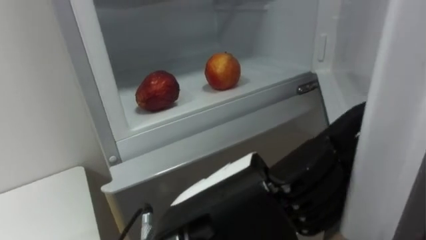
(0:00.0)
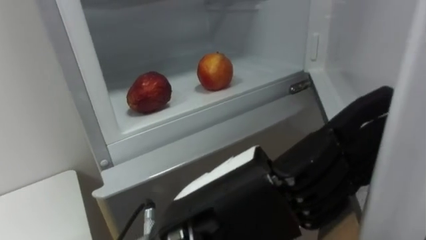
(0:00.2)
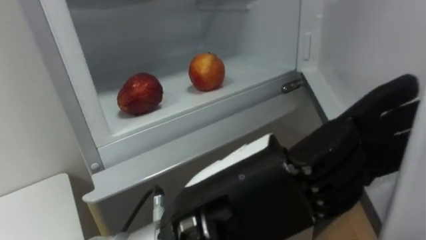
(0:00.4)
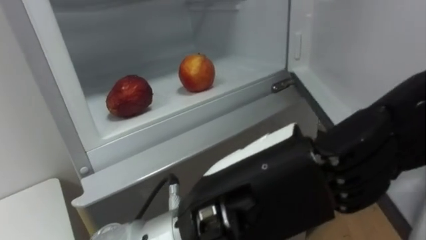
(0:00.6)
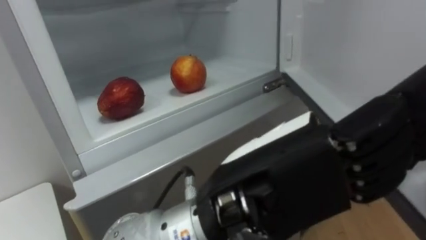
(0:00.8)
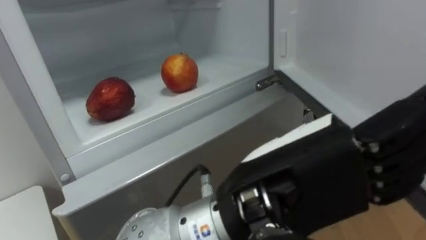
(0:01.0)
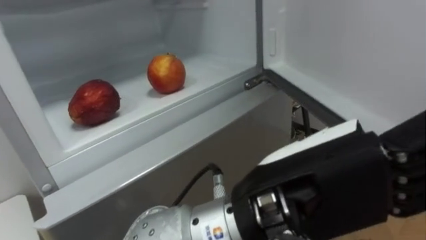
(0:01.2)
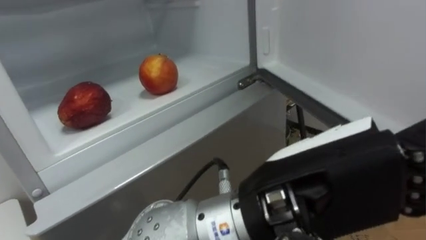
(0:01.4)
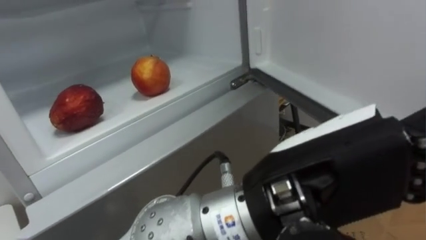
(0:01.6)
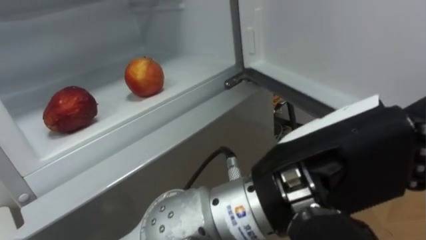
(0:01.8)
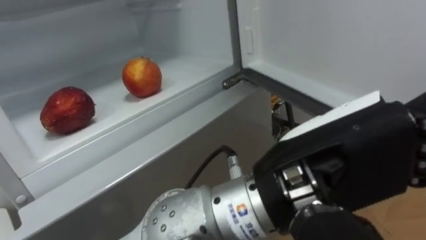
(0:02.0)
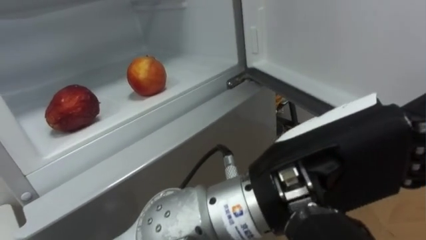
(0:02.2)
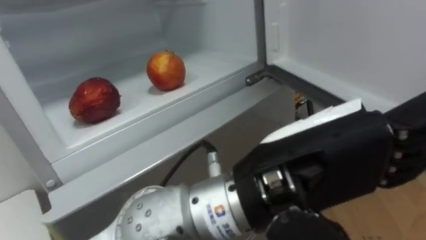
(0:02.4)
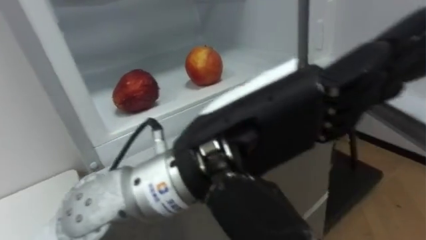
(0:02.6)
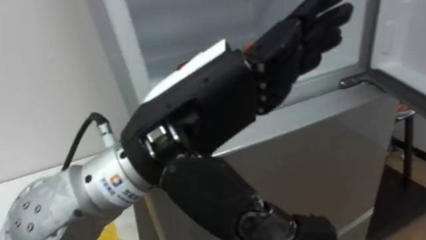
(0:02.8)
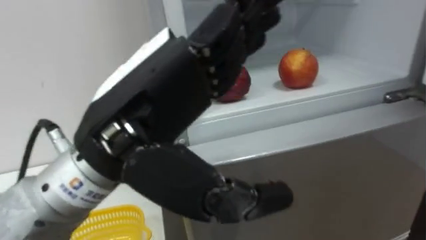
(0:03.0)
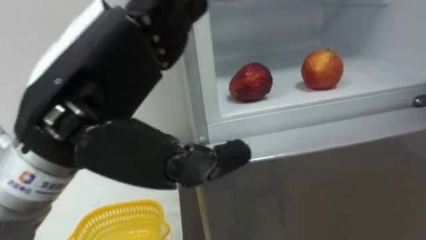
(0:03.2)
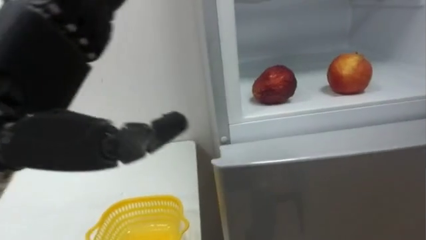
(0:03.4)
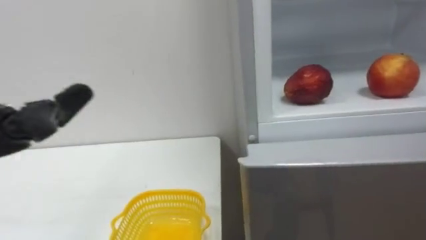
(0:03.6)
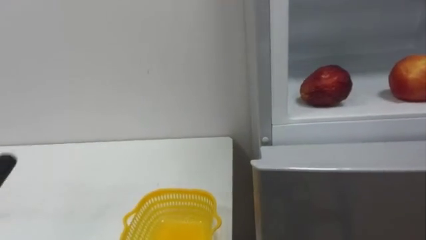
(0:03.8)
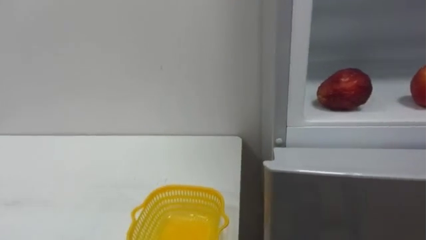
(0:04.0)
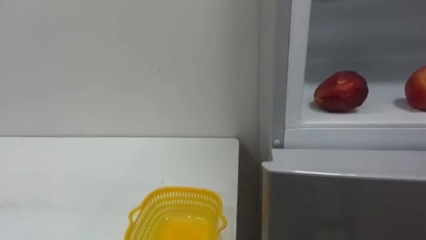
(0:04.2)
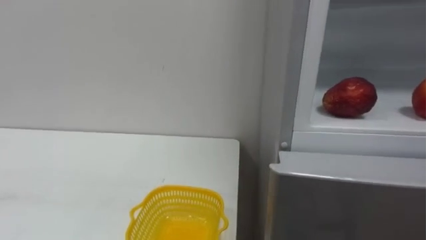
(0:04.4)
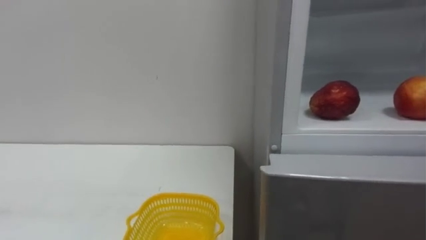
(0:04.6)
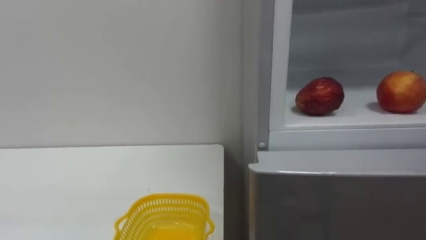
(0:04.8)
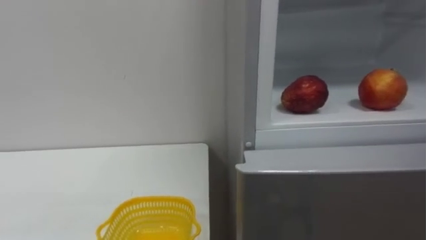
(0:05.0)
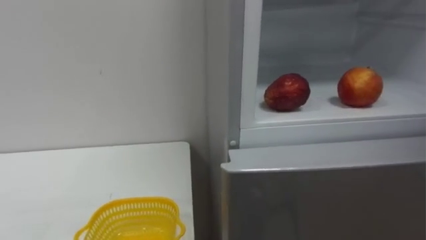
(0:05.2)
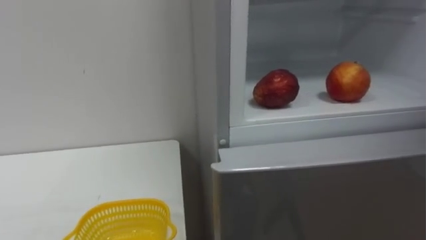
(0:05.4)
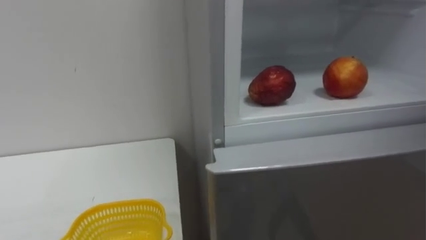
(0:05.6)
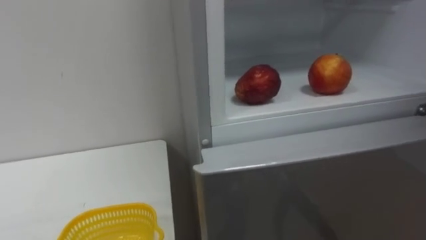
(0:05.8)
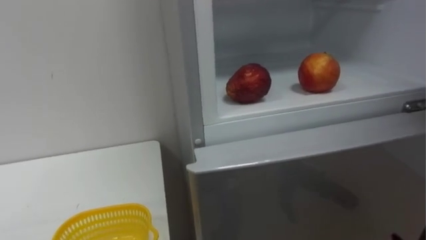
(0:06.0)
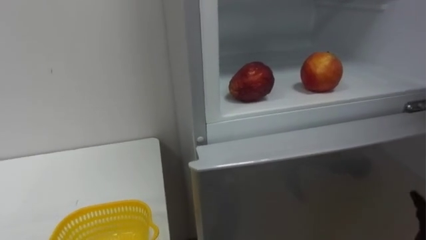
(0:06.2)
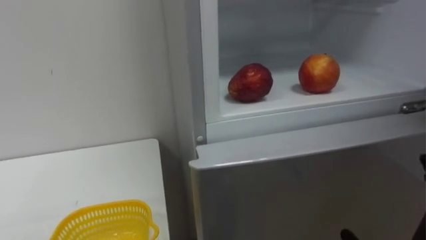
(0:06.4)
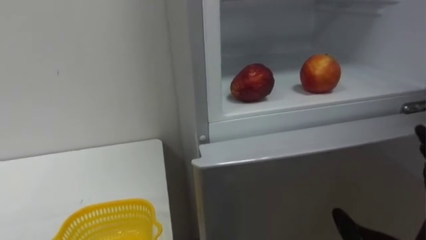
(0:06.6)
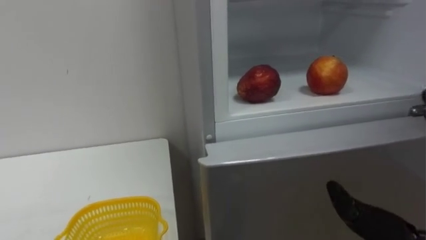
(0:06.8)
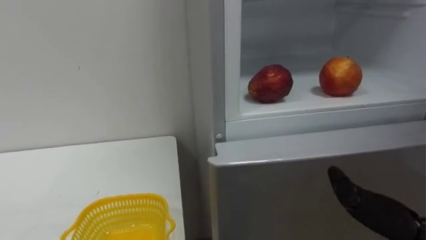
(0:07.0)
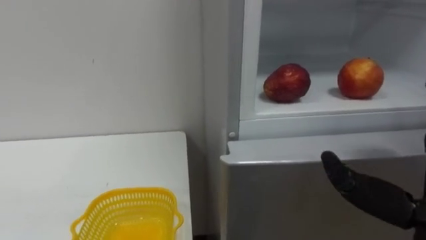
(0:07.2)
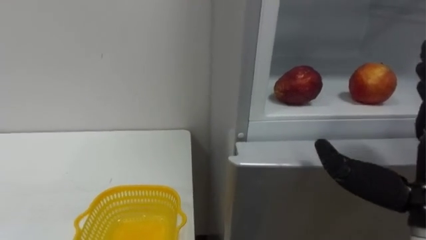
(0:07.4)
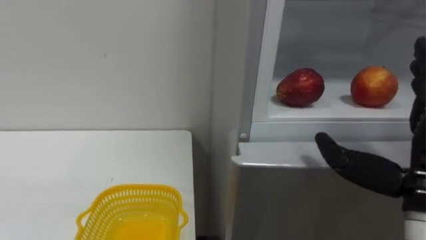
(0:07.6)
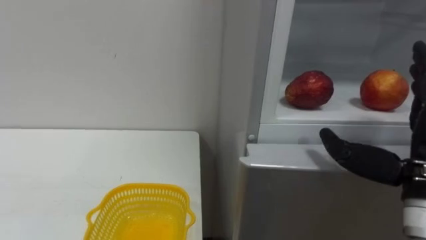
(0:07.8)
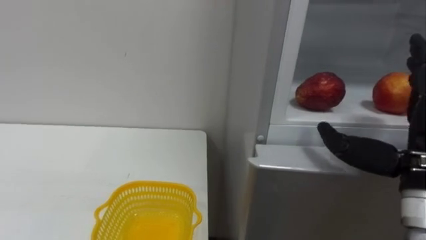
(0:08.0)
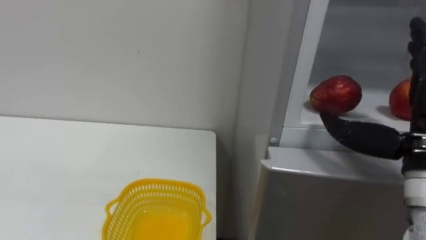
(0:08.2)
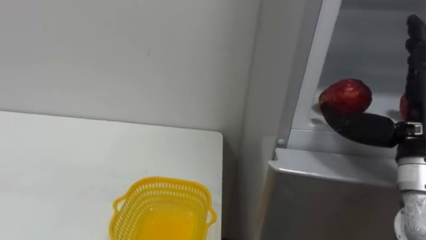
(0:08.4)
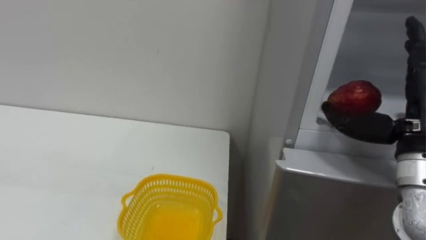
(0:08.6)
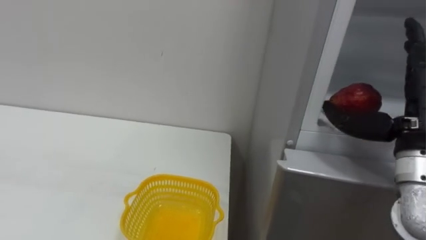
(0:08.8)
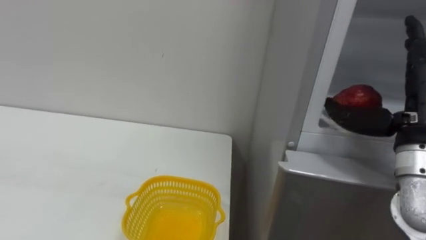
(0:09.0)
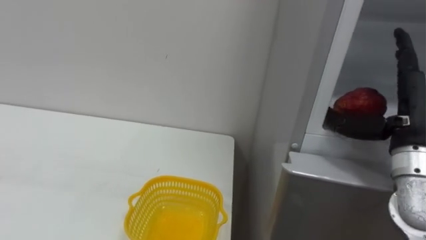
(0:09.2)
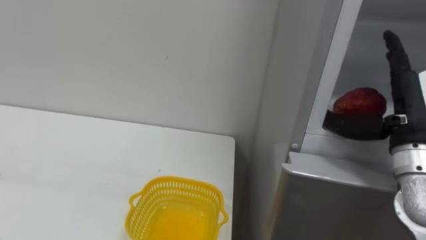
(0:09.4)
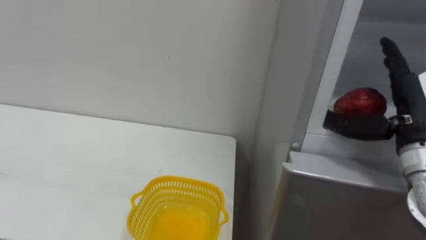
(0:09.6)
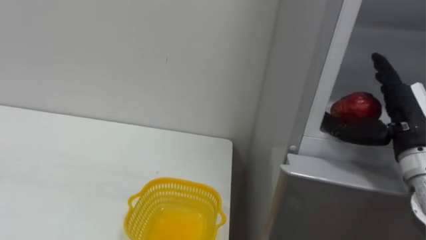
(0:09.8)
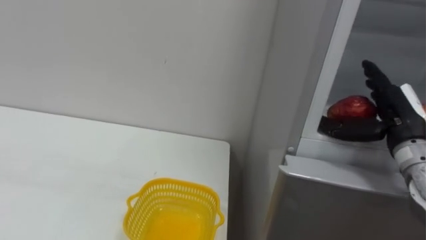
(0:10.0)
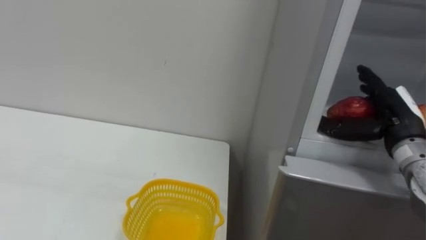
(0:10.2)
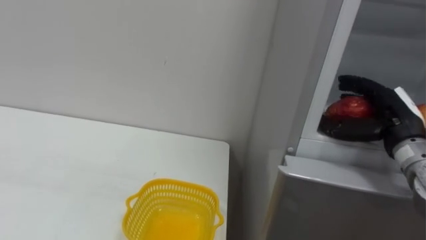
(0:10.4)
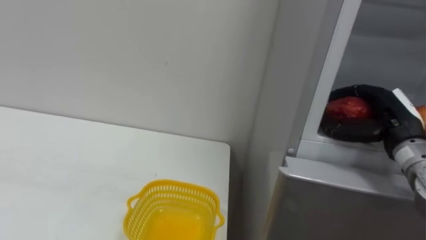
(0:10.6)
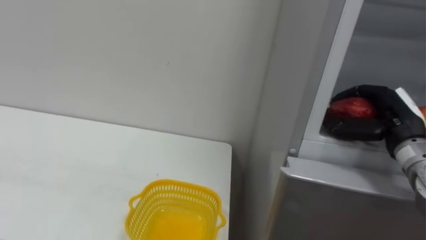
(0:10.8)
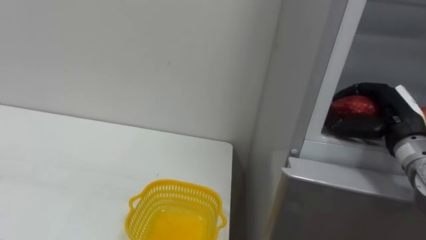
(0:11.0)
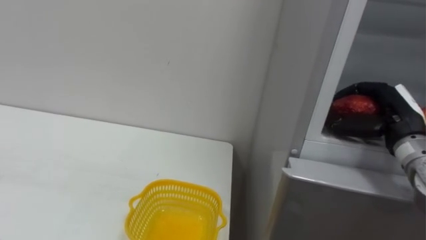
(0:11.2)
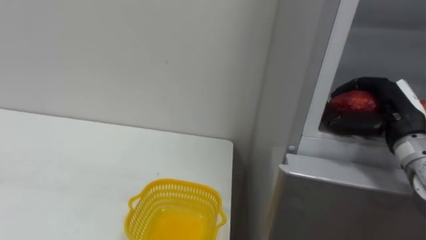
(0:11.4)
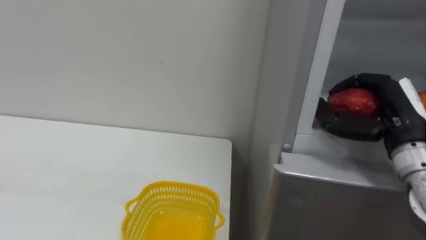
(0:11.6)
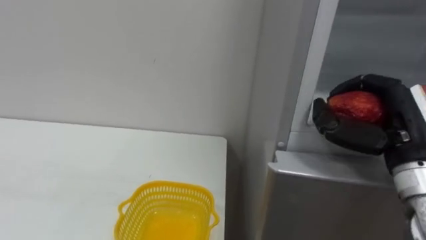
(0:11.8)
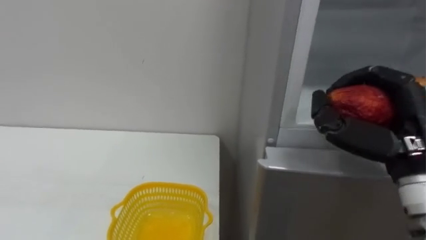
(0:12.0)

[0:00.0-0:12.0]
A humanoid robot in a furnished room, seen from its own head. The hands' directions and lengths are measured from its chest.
Task of the whole recording: Open the refrigerator door, take out the apple and the pomegranate, place them in the fruit basket on the left, and close the refrigerator door.
0:00.0 to 0:01.6: The left hand goes about 10 cm to the right.
0:01.6 to 0:03.0: The left hand moves to the left, about 15 cm.
0:07.6 to 0:09.0: The right hand travels forward by about 10 cm.
0:09.0 to 0:10.4: The right hand moves forward and downward, approximately 10 cm.
0:10.4 to 0:12.0: The right hand moves backward, some 10 cm, and closes its fingers.

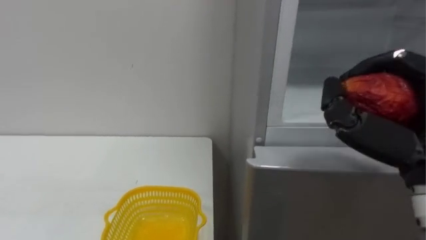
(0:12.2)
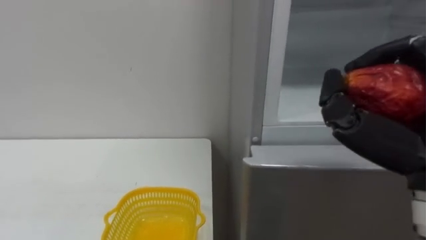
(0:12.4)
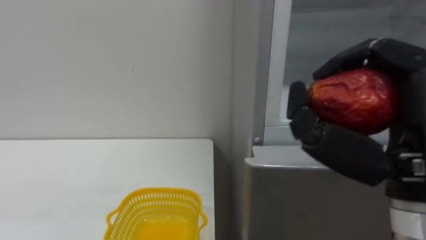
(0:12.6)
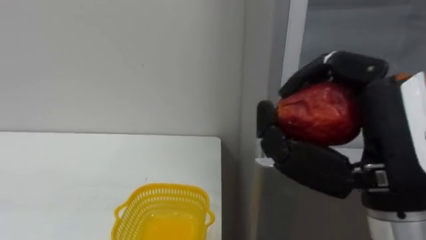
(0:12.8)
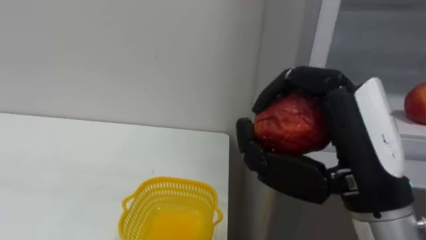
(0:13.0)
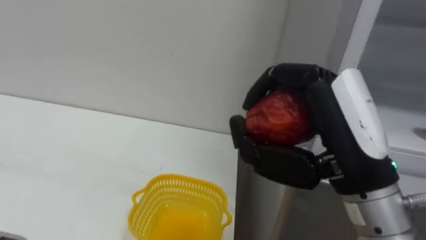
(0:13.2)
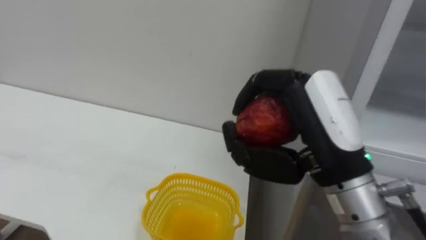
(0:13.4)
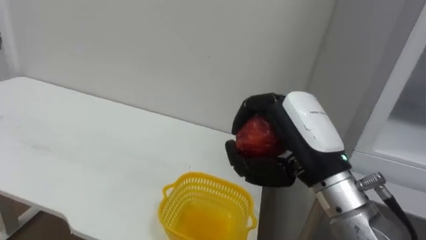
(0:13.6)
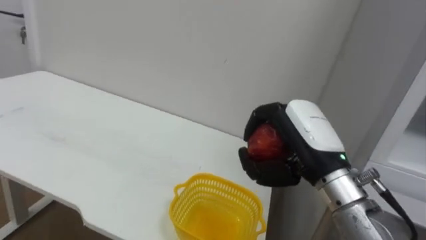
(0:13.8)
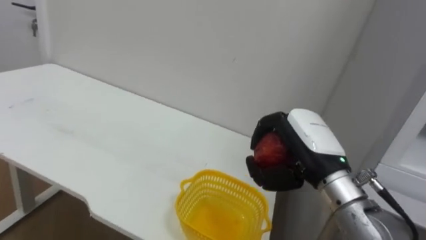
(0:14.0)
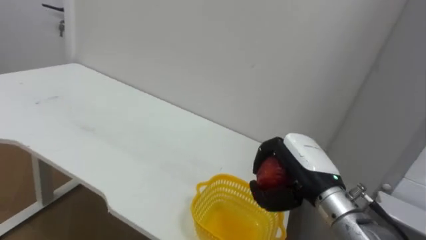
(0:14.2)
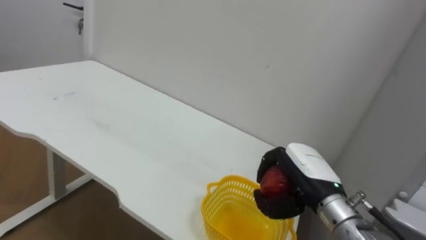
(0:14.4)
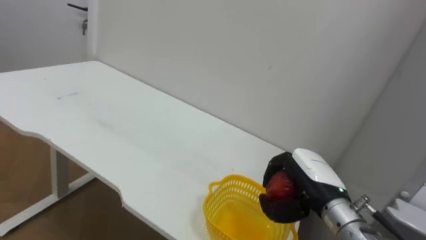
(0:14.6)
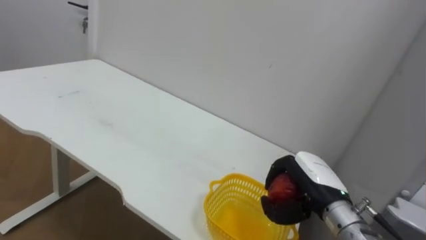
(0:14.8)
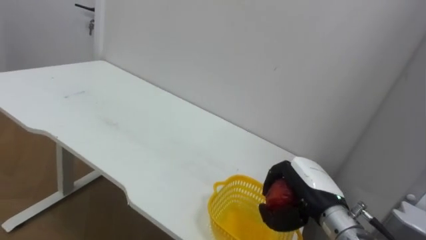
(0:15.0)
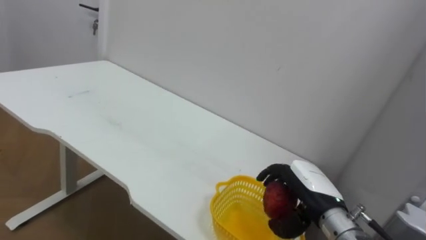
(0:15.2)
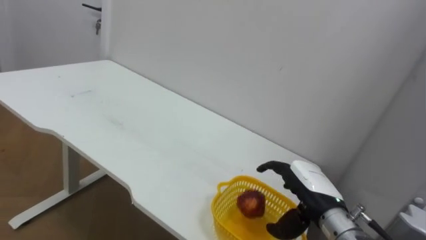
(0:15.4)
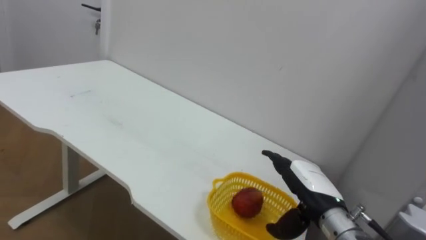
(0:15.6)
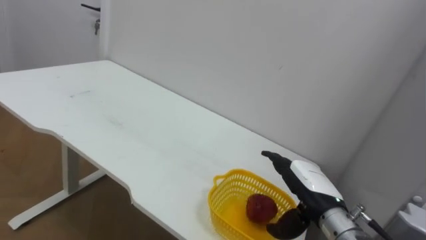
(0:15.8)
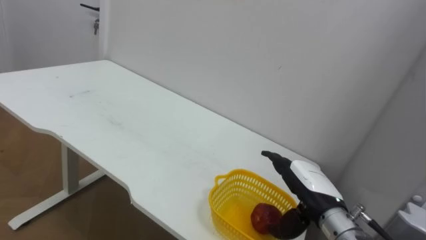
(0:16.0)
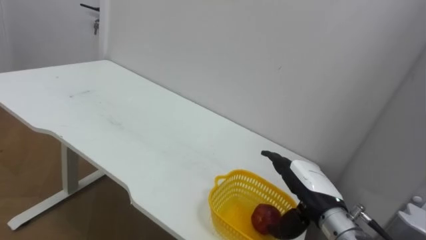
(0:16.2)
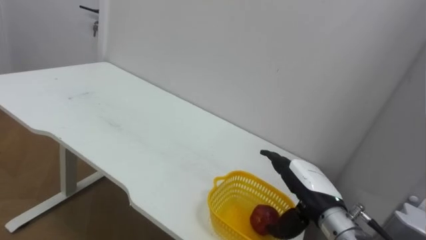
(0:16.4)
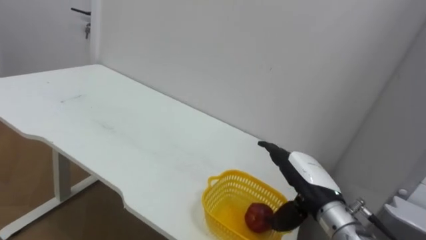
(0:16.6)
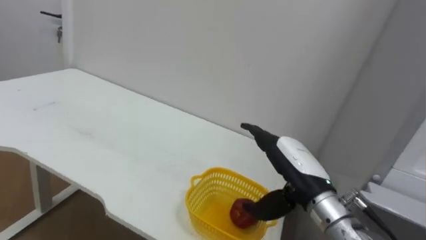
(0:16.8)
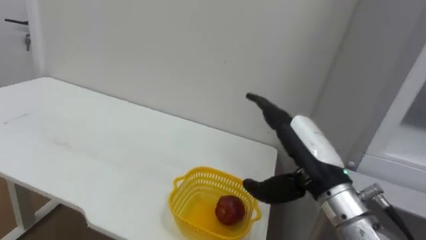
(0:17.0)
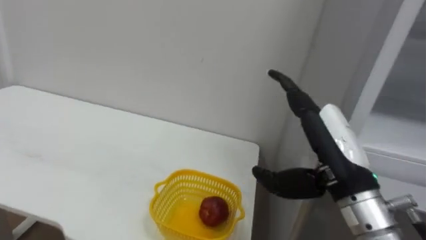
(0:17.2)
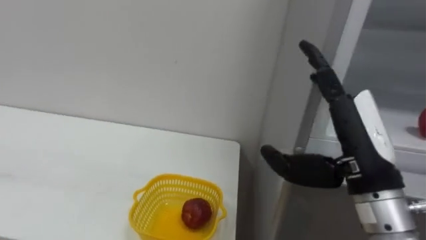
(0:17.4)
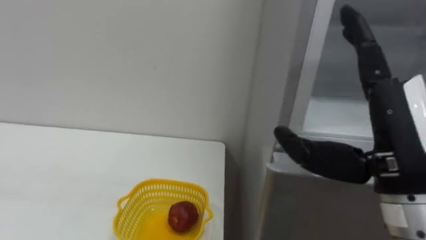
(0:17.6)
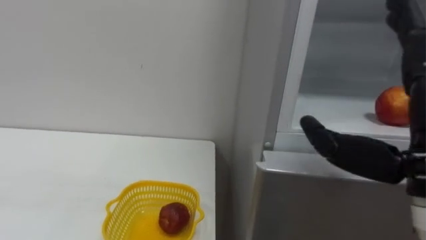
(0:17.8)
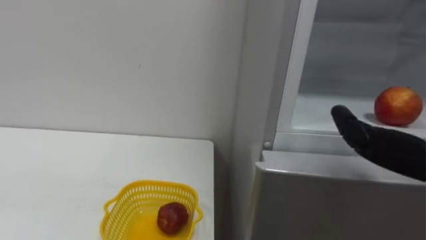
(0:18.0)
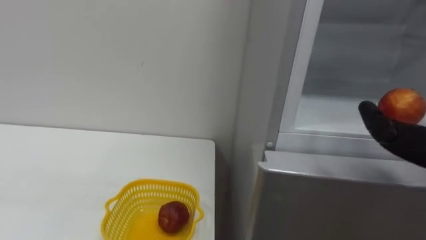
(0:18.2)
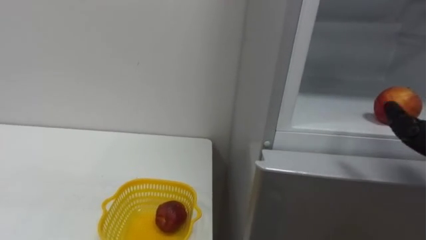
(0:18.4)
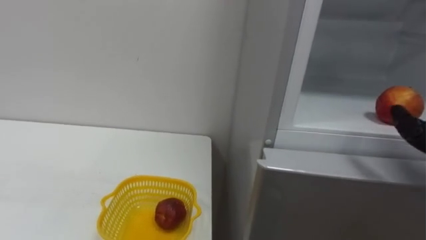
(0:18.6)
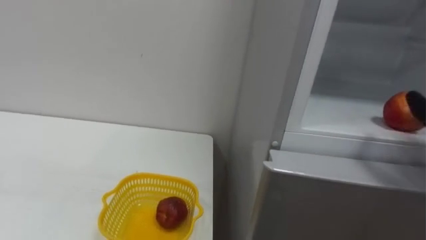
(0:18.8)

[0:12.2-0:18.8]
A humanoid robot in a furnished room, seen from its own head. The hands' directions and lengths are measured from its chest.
Task of the whole recording: Open the refrigerator door, take out the apple and the pomegranate, place them in the fruit basket on the left, and close the refrigerator door.
0:12.2 to 0:13.8: The right hand shifts some 10 cm to the left and forward.
0:13.8 to 0:15.4: The right hand travels downward by some 15 cm, and opens.
0:15.4 to 0:17.2: The right hand is displaced upward and backward by approximately 15 cm.
